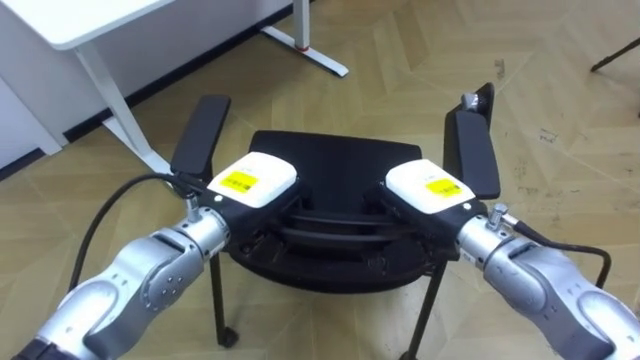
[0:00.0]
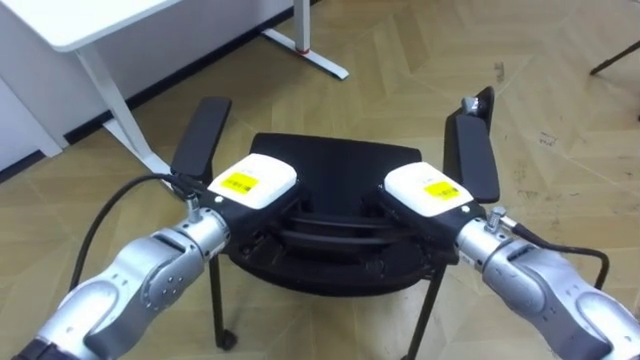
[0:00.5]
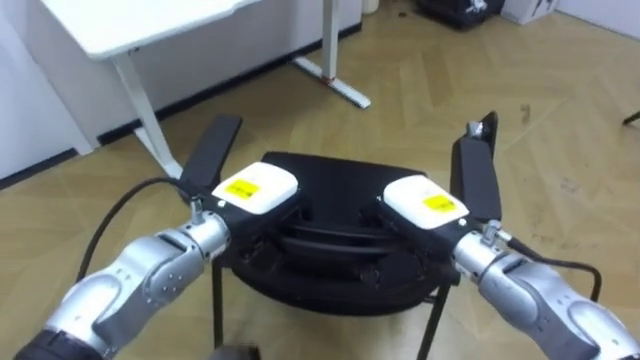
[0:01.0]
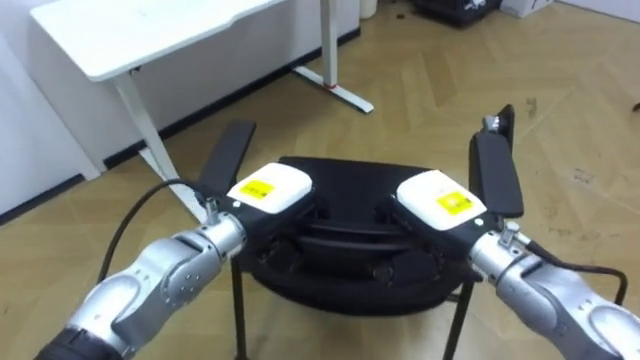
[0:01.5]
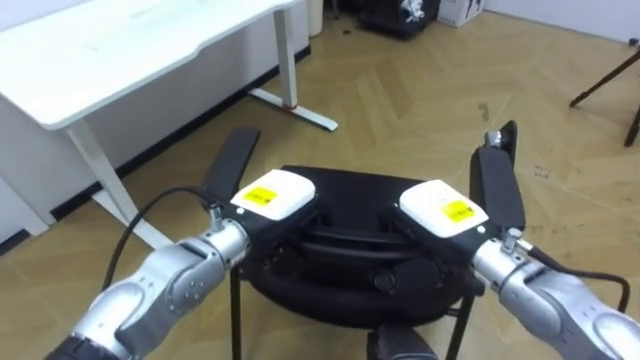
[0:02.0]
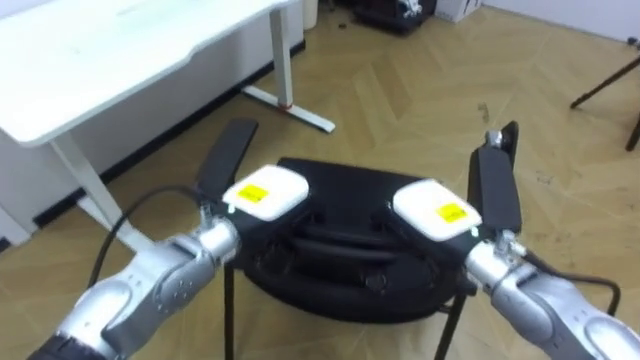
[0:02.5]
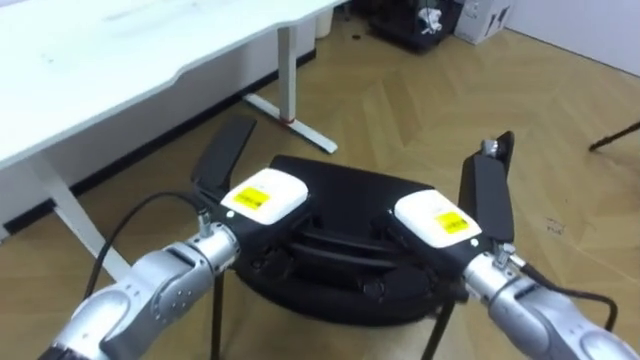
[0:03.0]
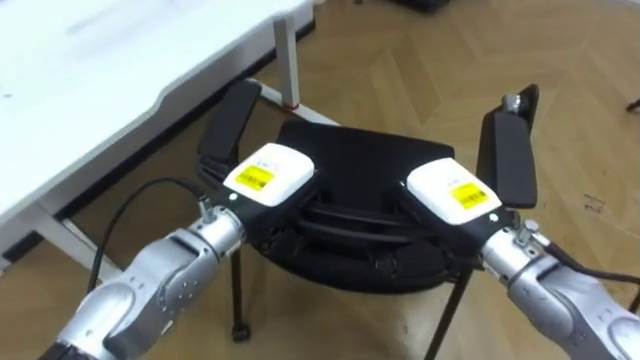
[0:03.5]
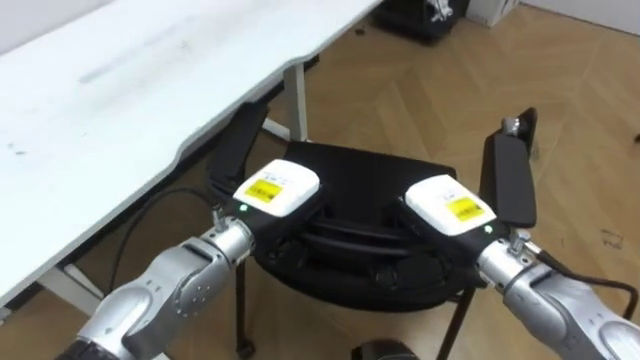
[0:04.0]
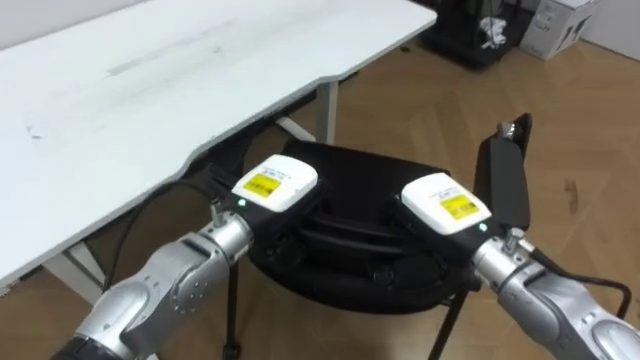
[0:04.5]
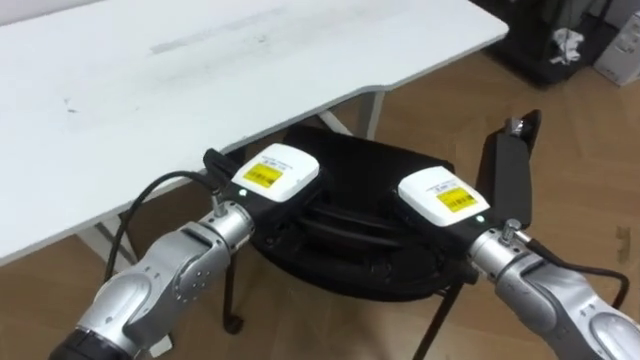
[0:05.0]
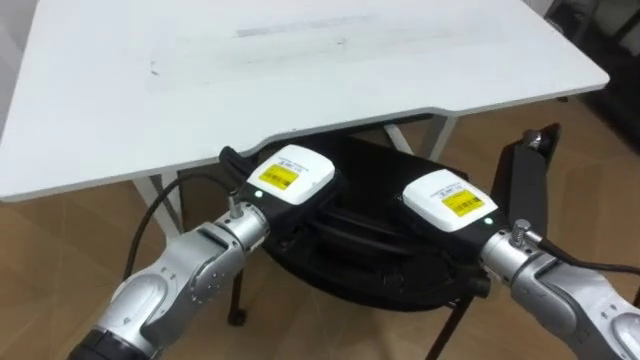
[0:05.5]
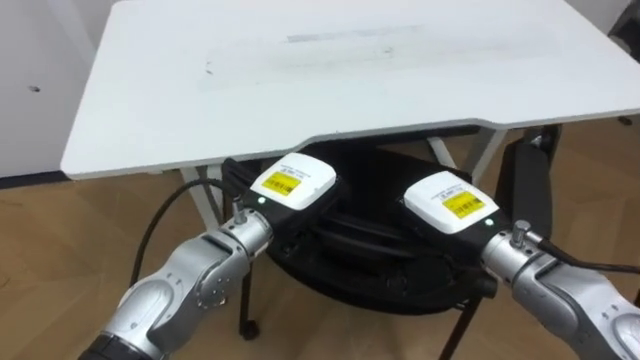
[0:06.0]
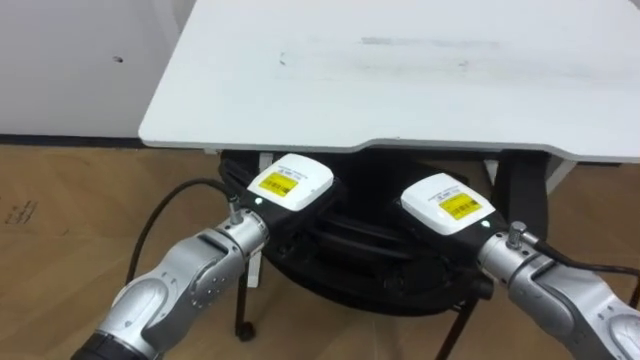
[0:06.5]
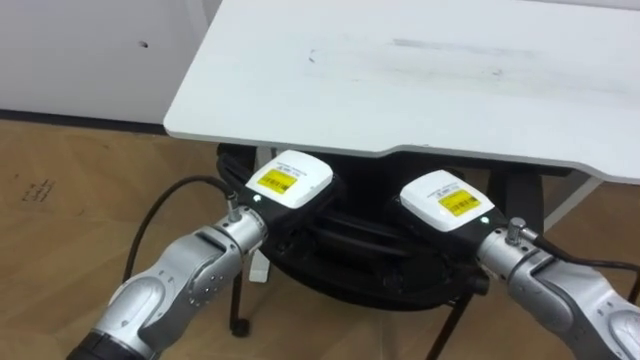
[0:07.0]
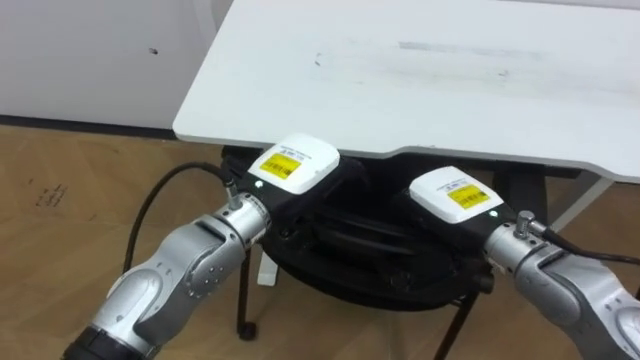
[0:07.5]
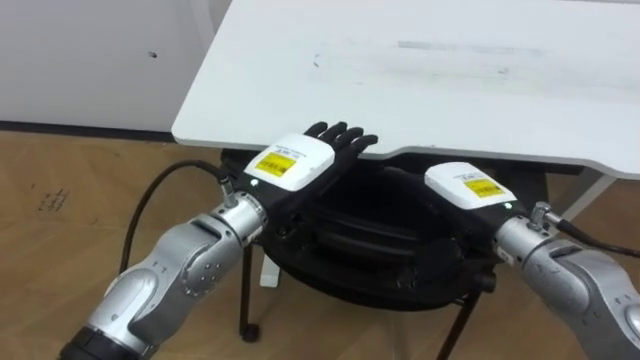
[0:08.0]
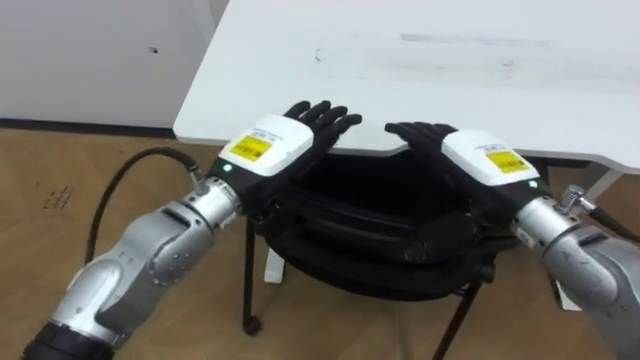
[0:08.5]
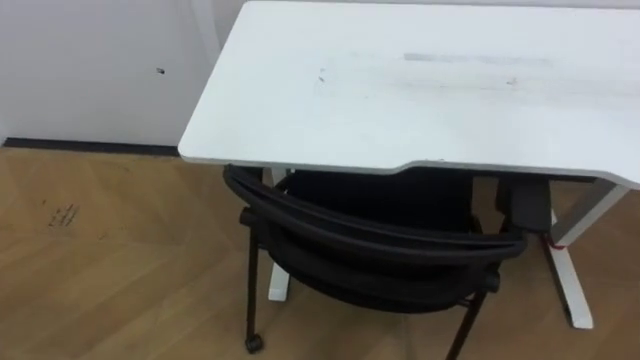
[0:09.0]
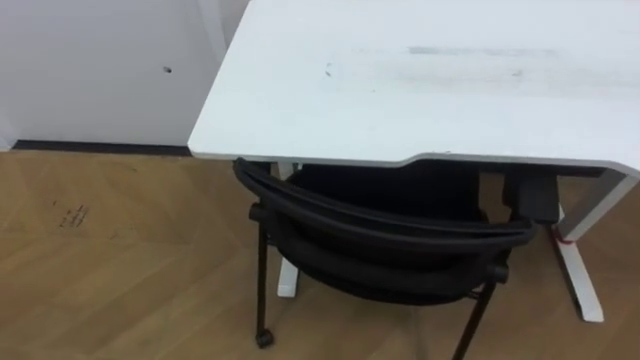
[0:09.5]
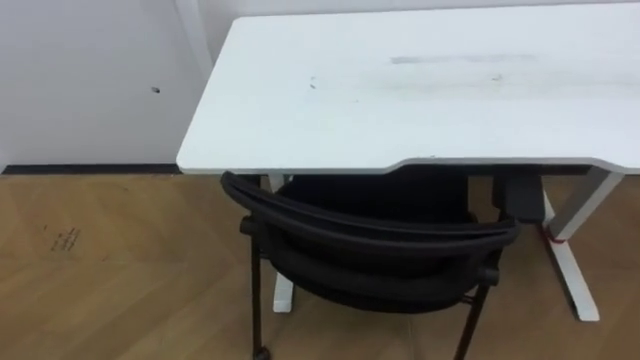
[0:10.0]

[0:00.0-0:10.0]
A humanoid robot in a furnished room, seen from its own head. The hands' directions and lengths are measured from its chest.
Task of the whole recording: Push the chair under the table.
0:04.0 to 0:06.0: The robot faces some 40 degrees further to its left.
0:06.0 to 0:08.0: The left hand opens its fingers; the right hand opens.

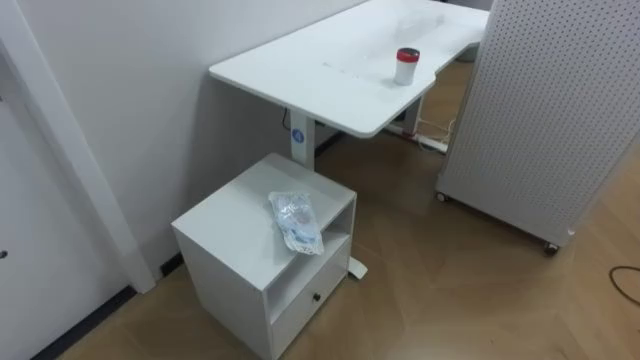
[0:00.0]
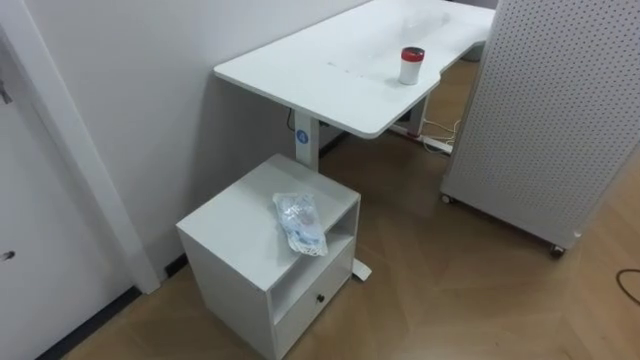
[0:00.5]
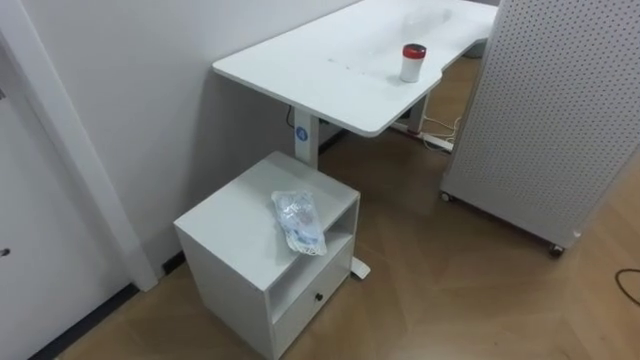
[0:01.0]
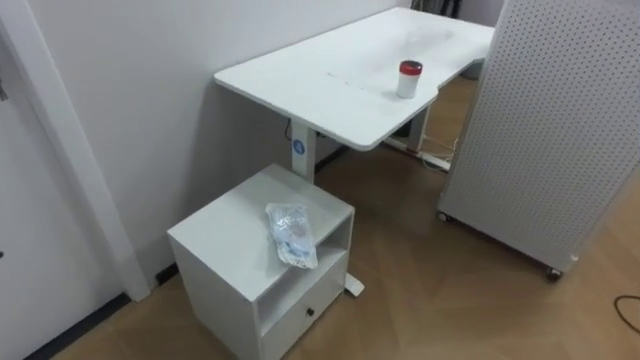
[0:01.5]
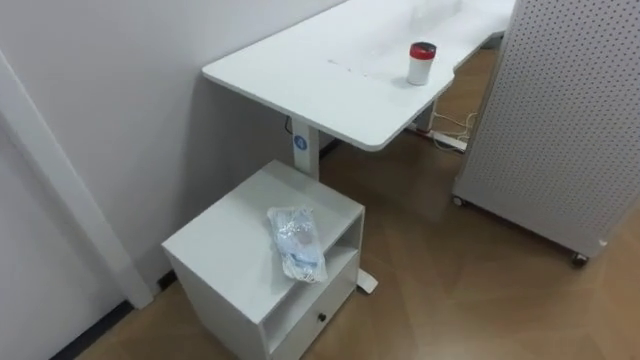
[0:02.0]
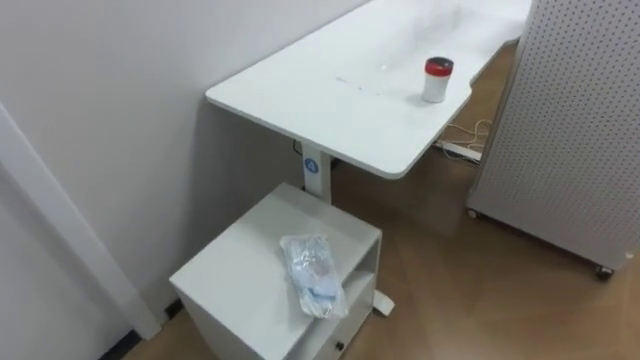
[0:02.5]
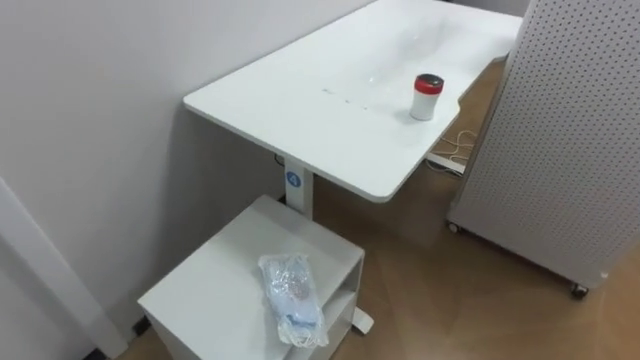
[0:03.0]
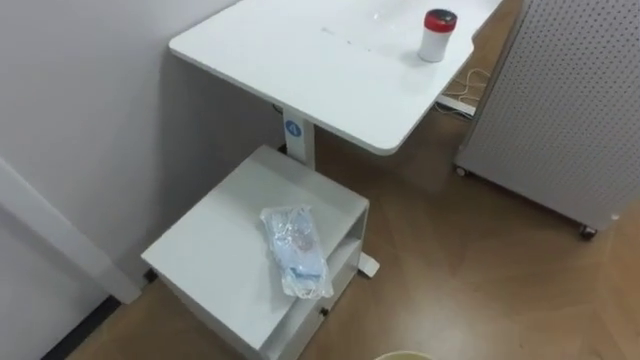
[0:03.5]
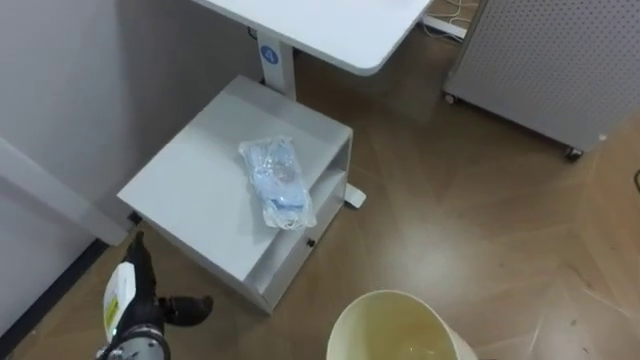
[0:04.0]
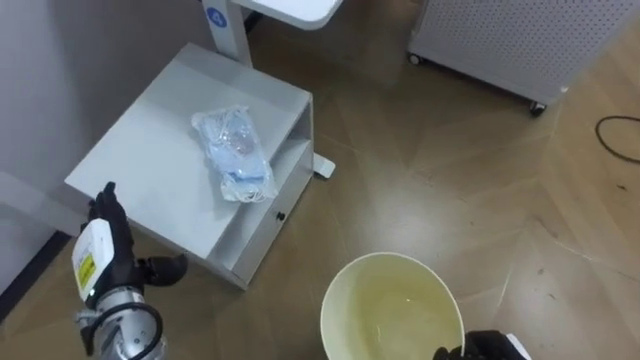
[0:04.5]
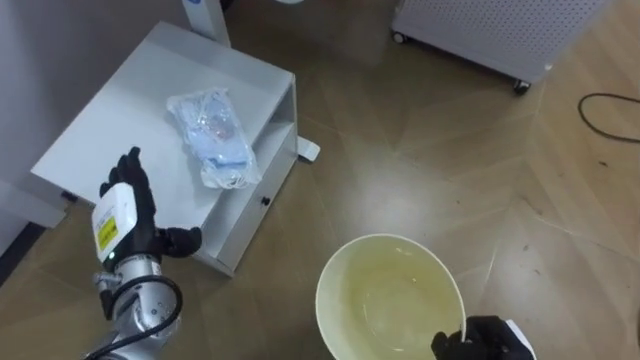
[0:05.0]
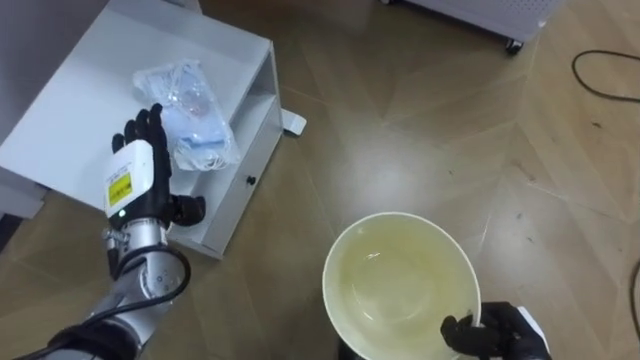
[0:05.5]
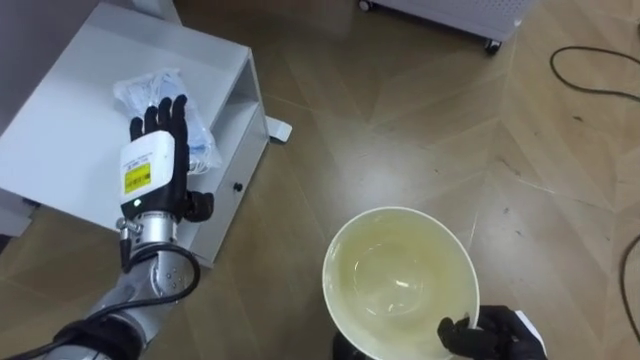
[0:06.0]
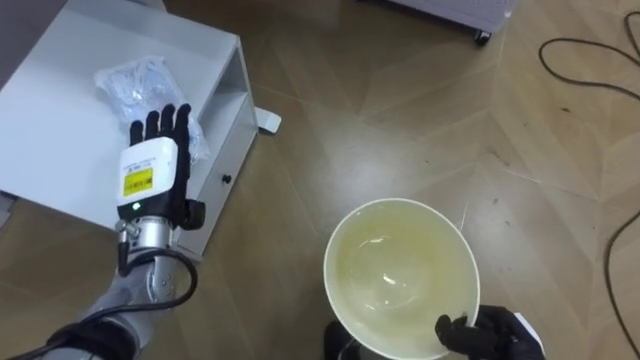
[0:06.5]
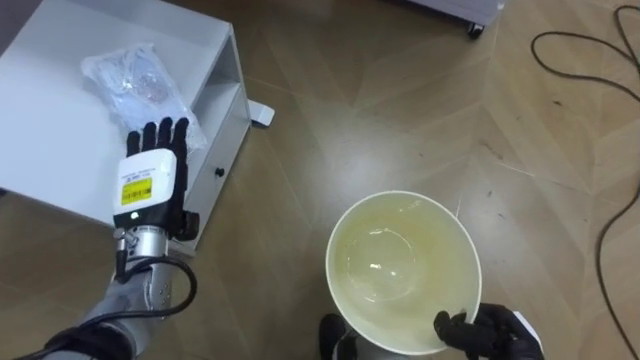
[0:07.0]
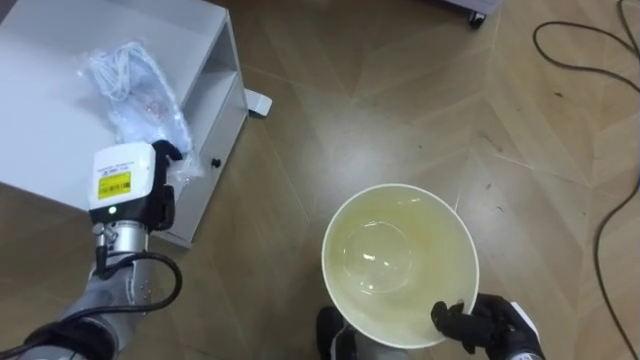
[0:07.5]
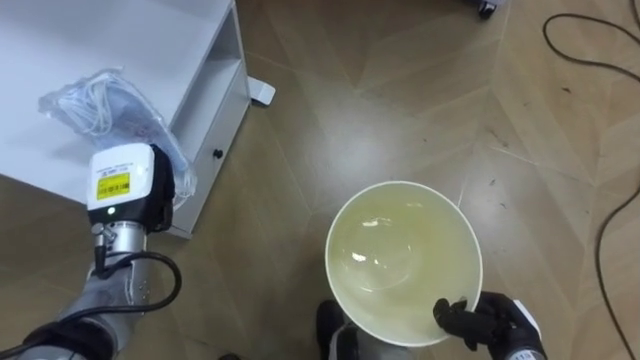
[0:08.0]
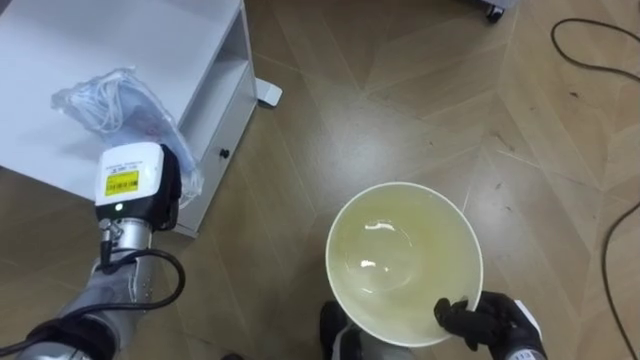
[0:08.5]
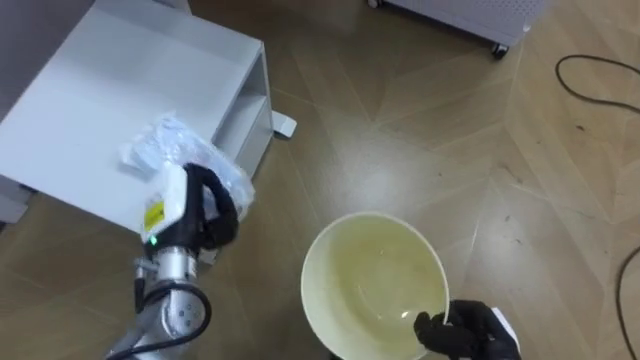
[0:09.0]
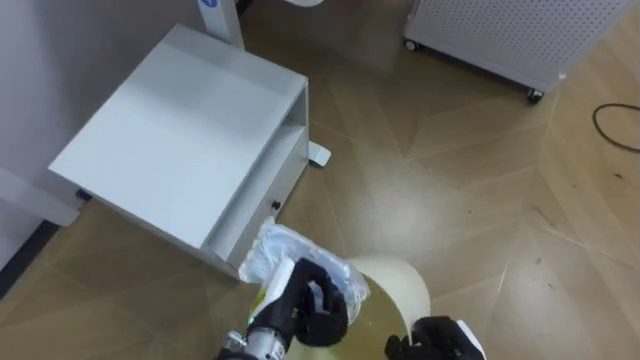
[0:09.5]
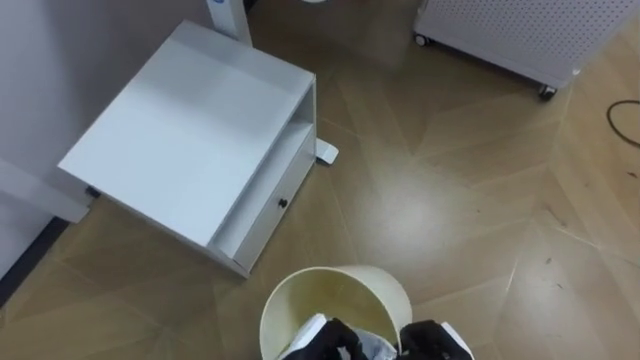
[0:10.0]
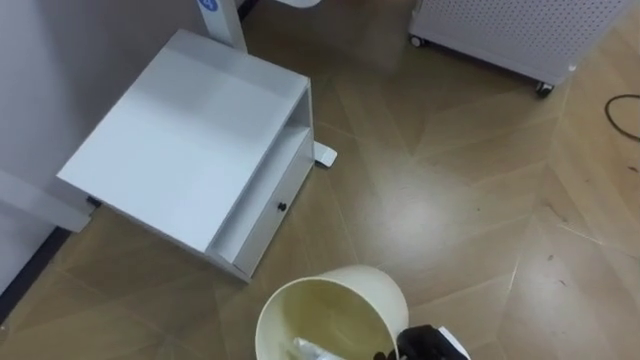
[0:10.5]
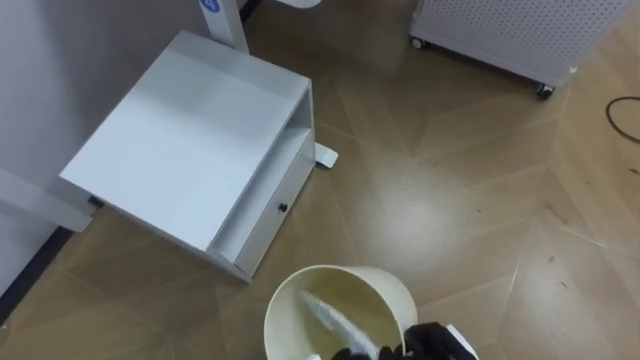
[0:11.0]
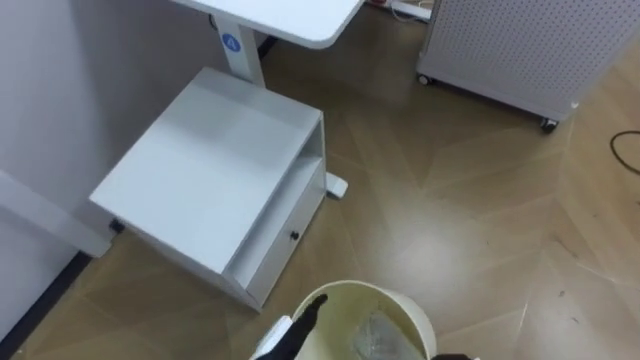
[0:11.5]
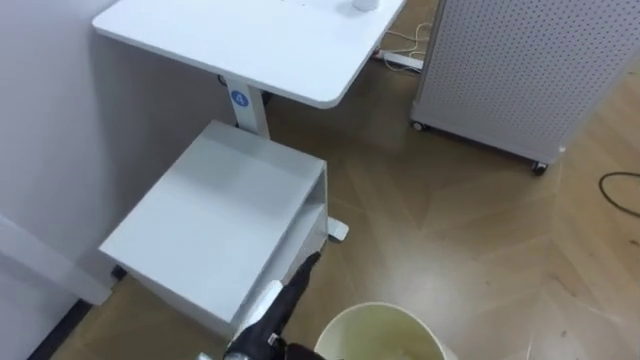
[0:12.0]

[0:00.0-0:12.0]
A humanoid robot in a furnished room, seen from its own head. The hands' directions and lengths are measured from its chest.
Task of the whole recording: Pick up the light blue package, the candy box, and the dark blue package separately, and put them into the trash can held in your right hand.
0:04.0 to 0:06.0: The left hand heads upward and forward, covering roughly 20 cm.
0:06.0 to 0:08.0: The left hand closes up.
0:08.0 to 0:10.0: The left hand goes about 30 cm to the right, downward and backward.
